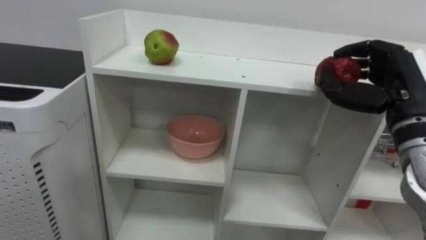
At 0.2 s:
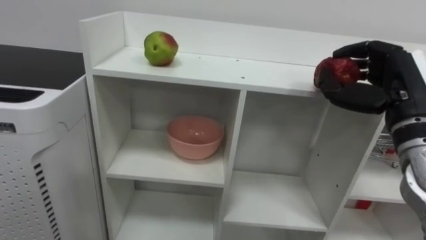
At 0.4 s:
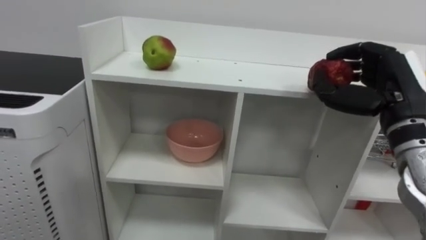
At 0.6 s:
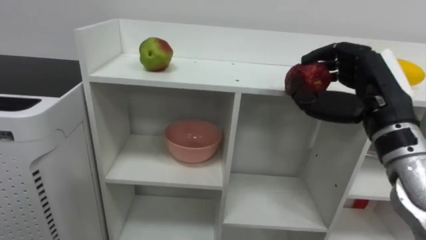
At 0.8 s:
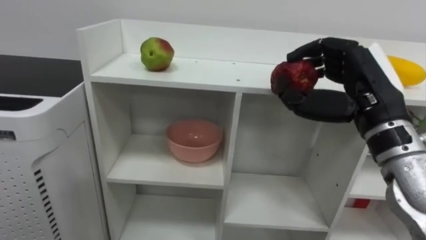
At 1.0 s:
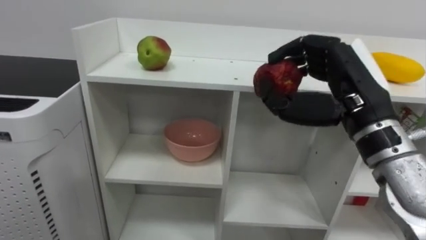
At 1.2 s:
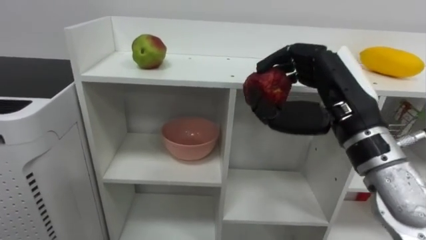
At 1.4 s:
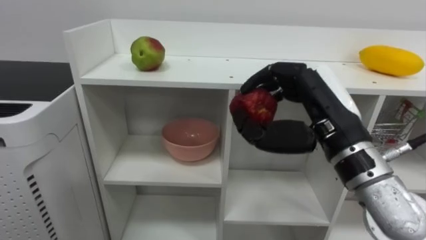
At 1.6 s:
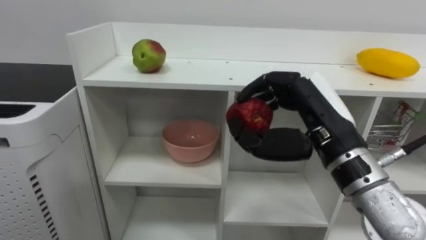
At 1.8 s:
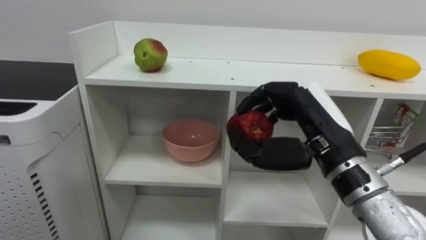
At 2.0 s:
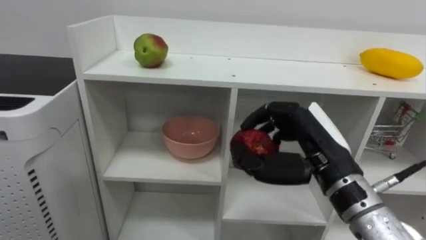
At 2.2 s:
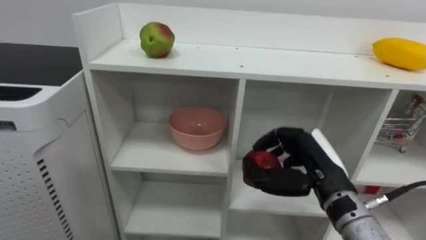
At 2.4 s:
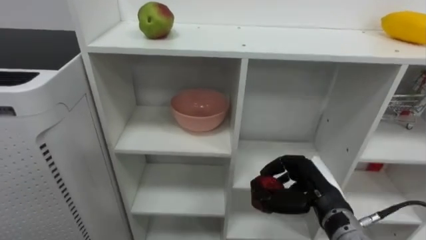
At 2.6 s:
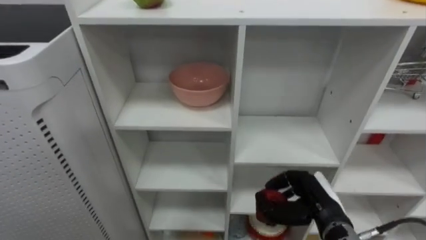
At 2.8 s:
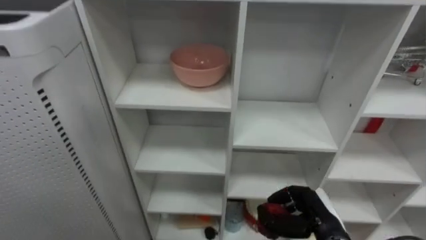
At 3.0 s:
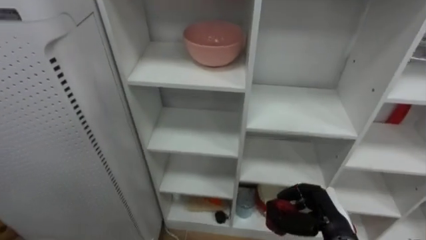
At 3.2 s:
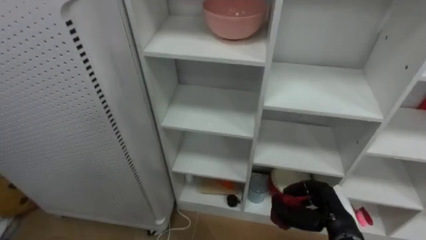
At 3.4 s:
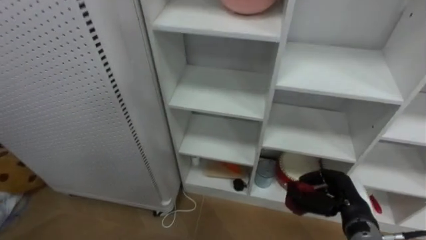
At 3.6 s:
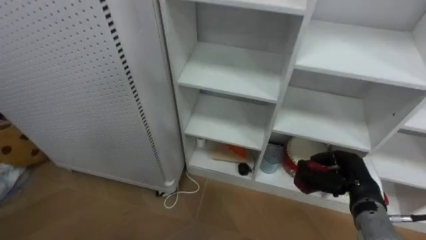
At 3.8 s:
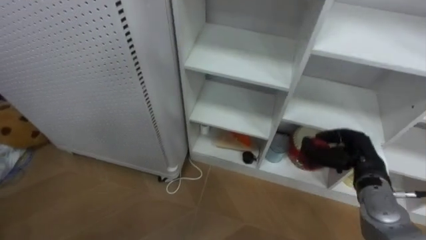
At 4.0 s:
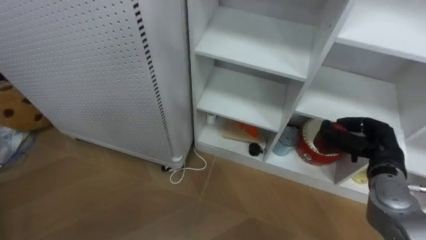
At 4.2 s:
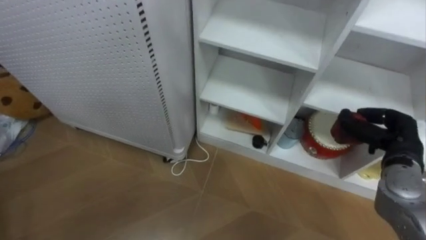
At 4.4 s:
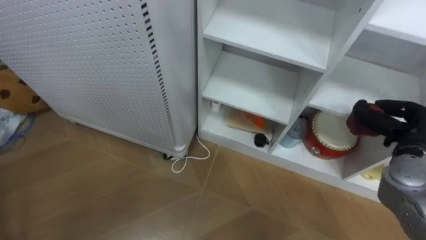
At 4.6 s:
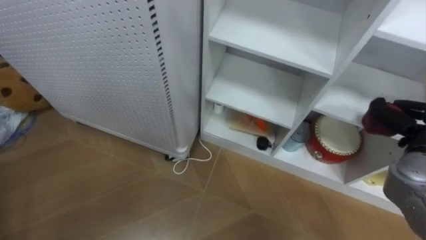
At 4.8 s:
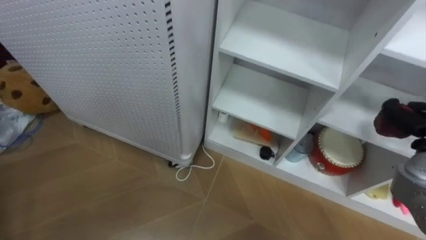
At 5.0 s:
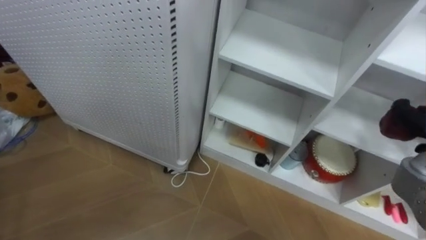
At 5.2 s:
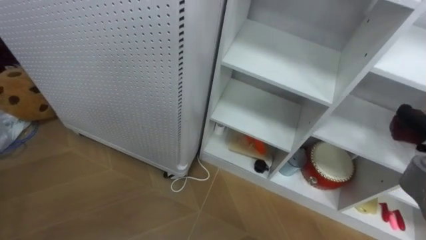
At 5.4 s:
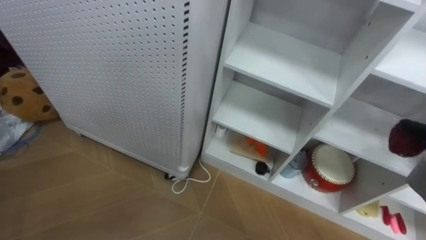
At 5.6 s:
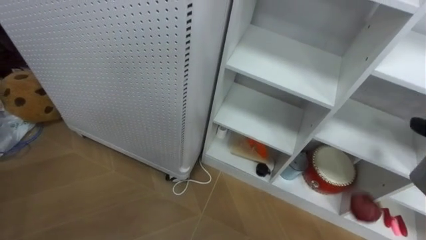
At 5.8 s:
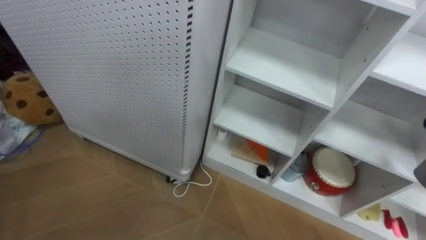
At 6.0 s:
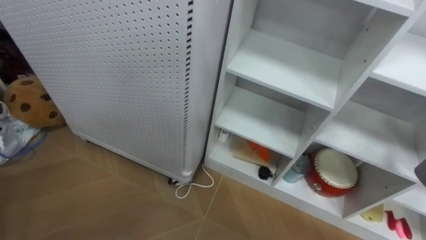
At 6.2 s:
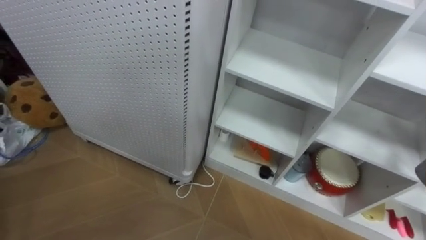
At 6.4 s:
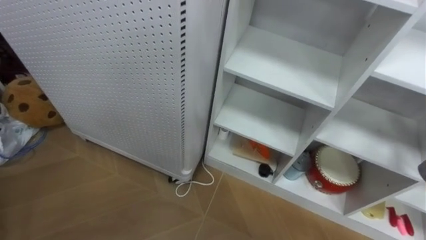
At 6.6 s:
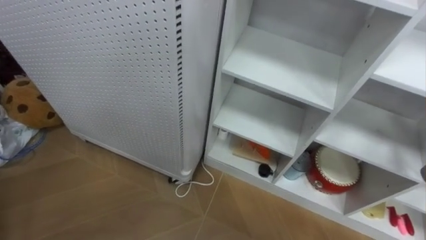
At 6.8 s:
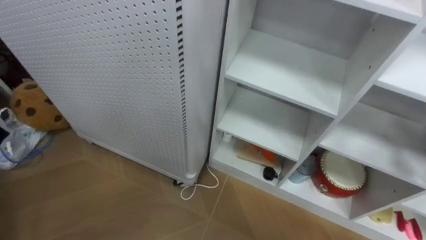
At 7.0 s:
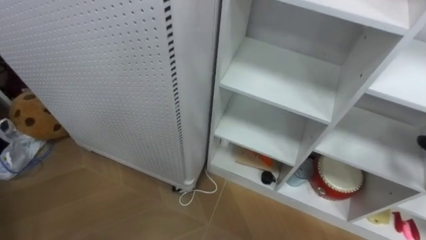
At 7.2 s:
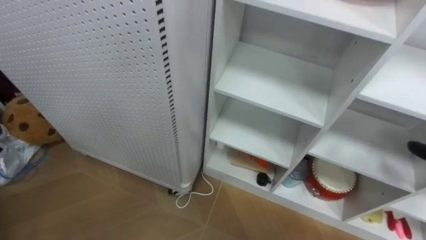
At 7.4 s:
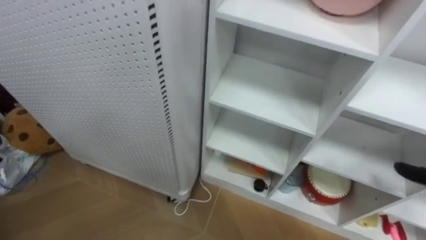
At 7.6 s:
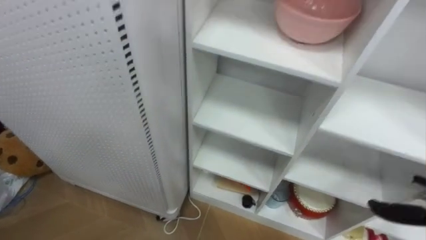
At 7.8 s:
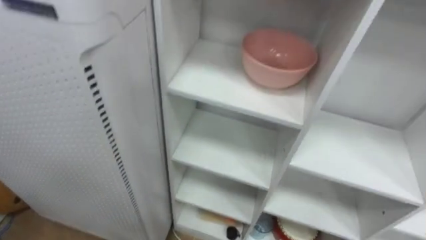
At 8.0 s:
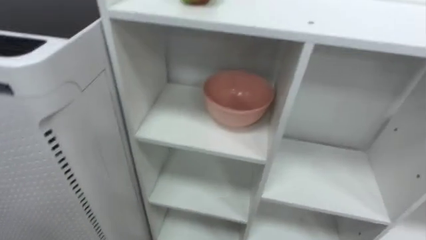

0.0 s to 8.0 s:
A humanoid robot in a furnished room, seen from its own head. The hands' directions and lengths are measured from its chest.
Task of the whole recording: Put the apple in the cell in the second column from the left and the second row from the top.
0.0 to 1.6 s: The right hand heads to the left, covering about 10 cm.
1.6 to 3.2 s: The right hand goes approximately 20 cm downward.

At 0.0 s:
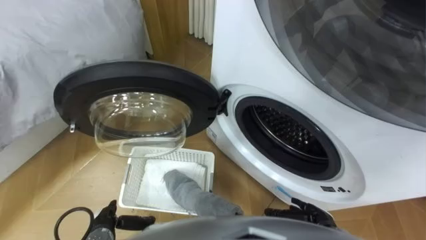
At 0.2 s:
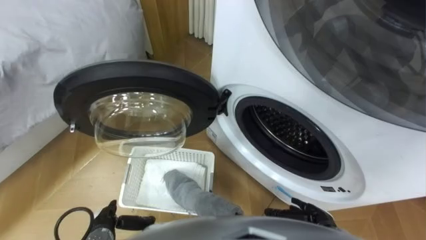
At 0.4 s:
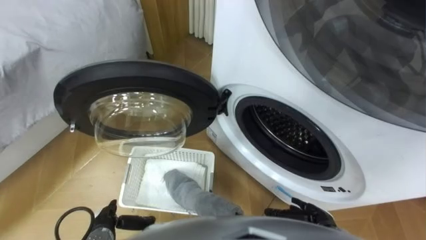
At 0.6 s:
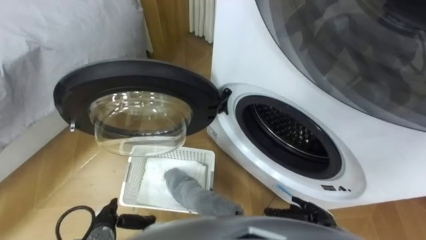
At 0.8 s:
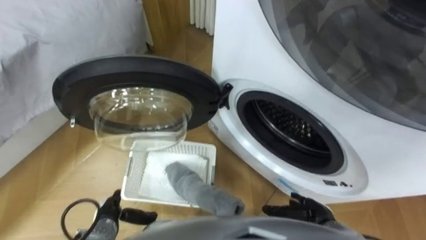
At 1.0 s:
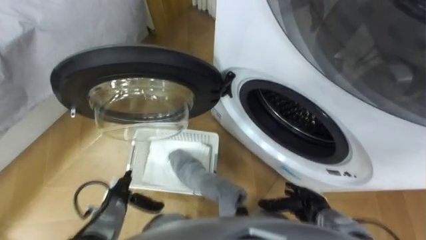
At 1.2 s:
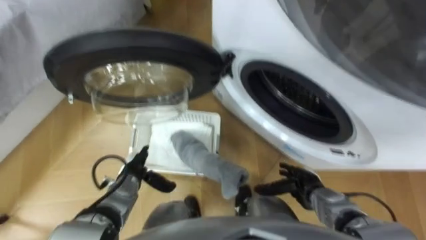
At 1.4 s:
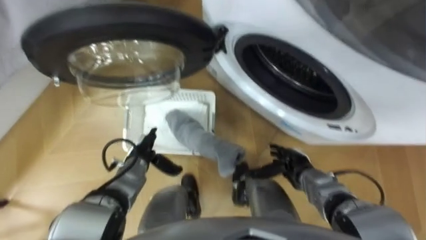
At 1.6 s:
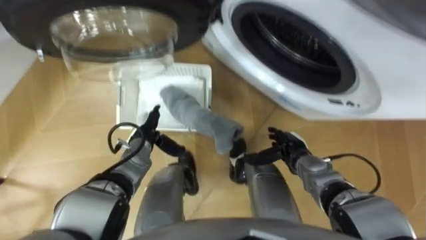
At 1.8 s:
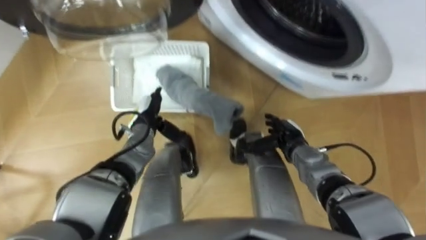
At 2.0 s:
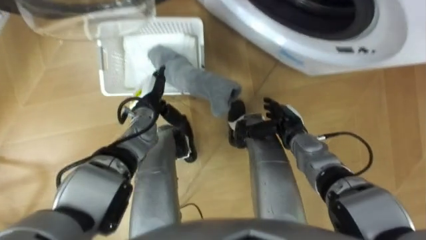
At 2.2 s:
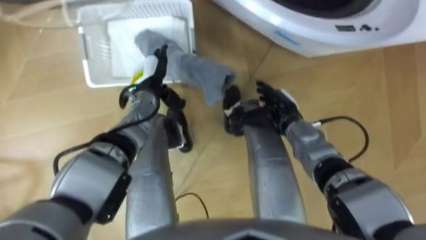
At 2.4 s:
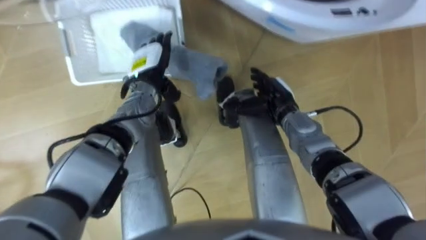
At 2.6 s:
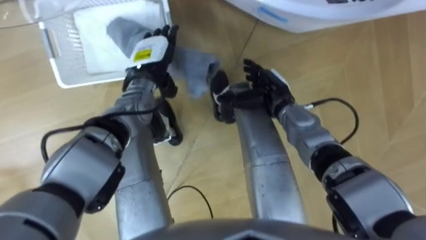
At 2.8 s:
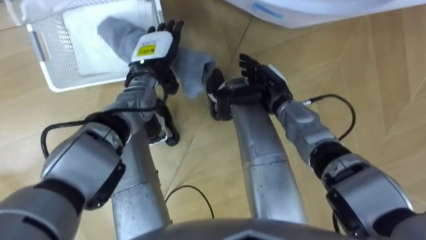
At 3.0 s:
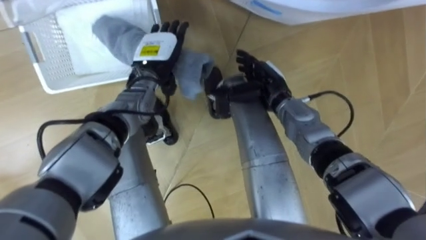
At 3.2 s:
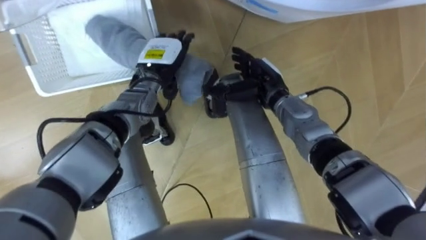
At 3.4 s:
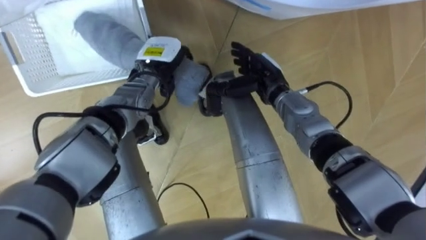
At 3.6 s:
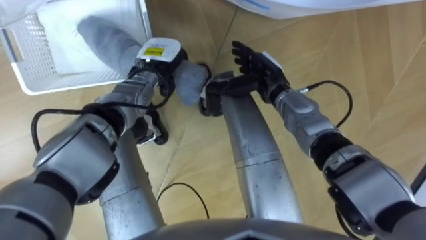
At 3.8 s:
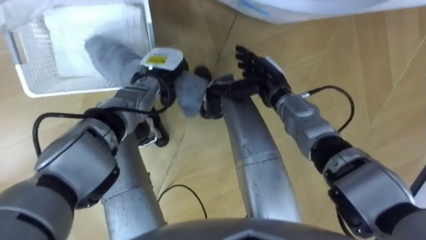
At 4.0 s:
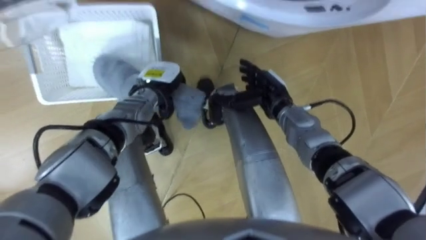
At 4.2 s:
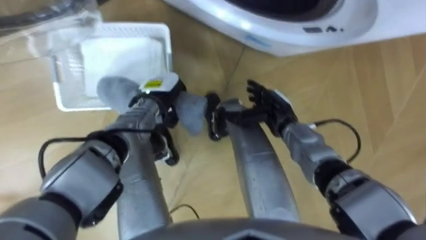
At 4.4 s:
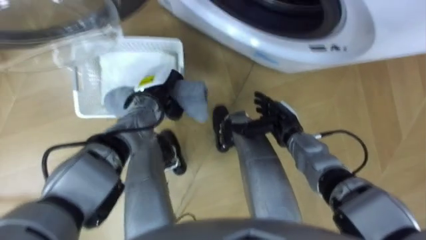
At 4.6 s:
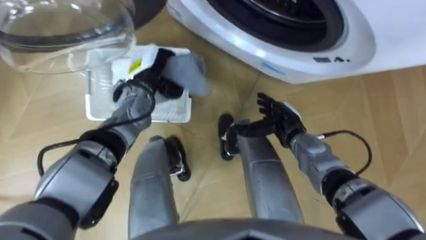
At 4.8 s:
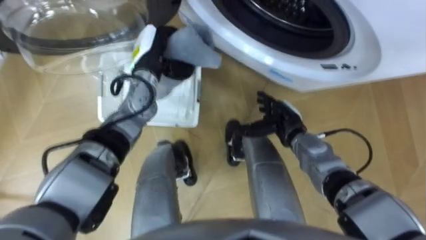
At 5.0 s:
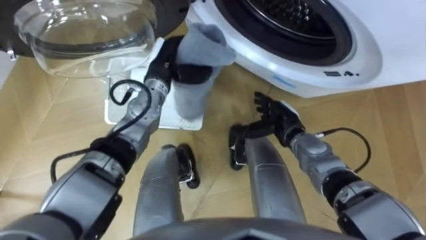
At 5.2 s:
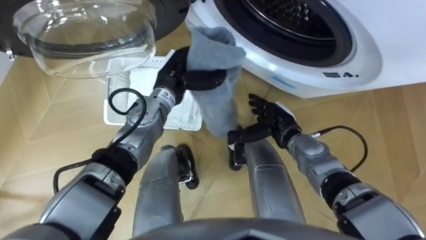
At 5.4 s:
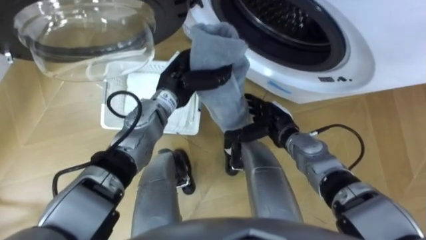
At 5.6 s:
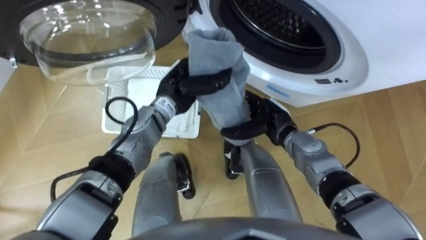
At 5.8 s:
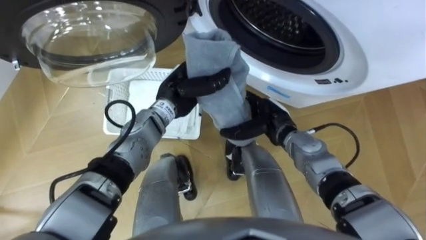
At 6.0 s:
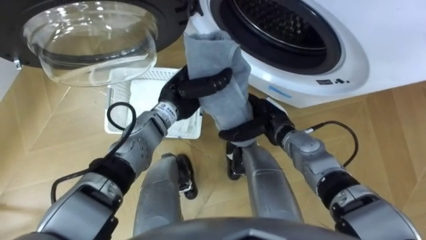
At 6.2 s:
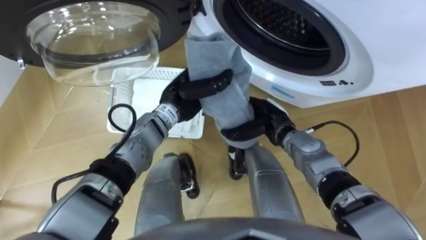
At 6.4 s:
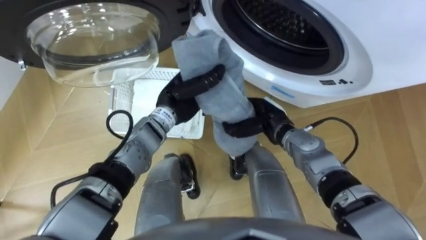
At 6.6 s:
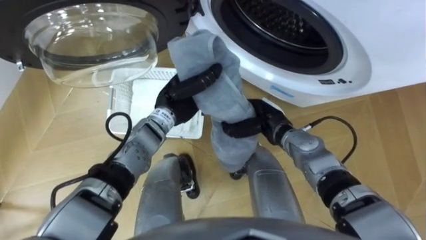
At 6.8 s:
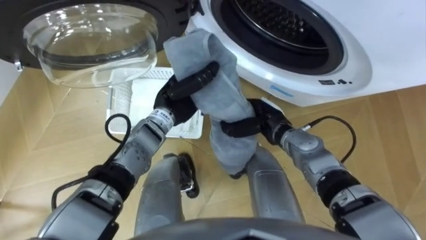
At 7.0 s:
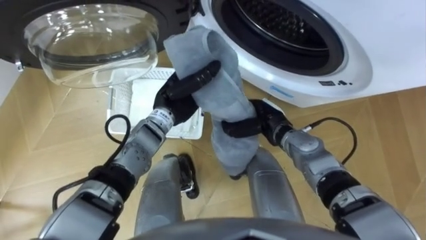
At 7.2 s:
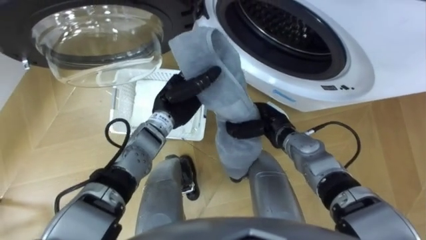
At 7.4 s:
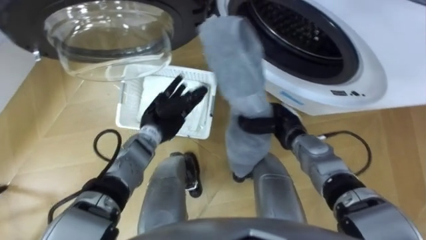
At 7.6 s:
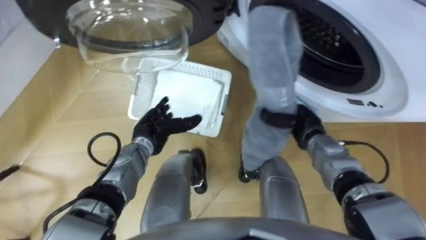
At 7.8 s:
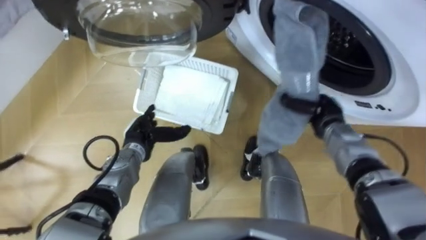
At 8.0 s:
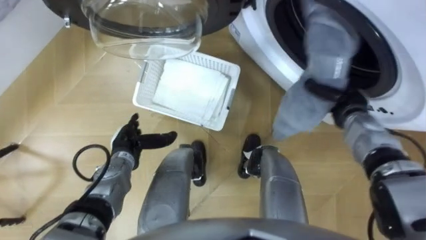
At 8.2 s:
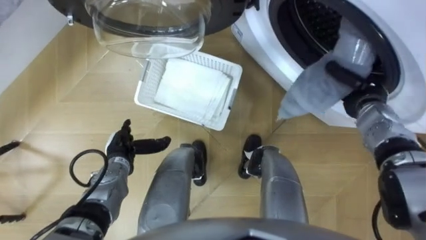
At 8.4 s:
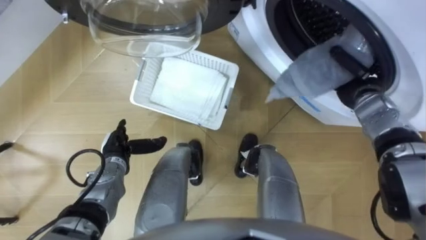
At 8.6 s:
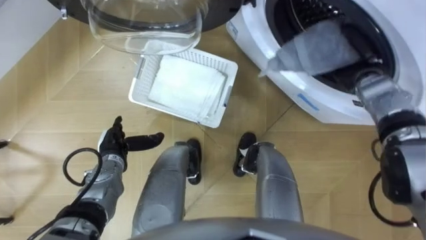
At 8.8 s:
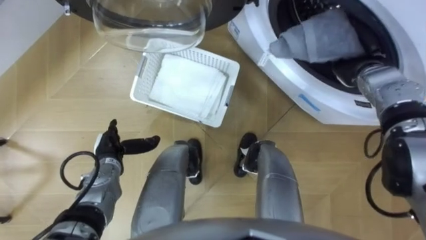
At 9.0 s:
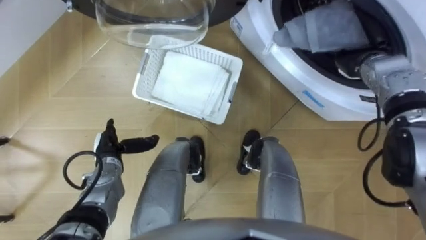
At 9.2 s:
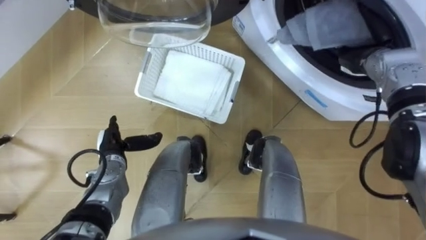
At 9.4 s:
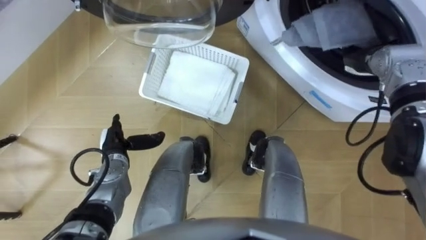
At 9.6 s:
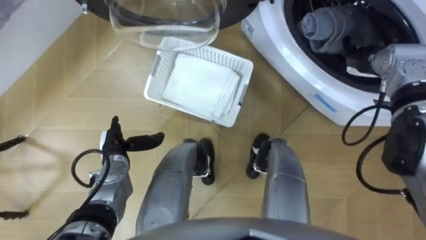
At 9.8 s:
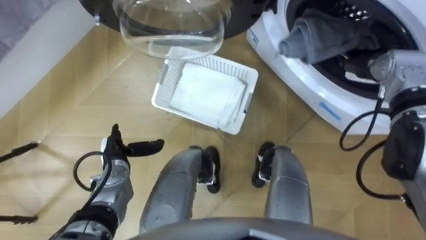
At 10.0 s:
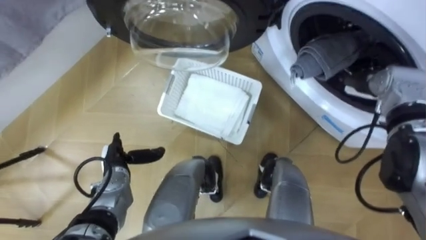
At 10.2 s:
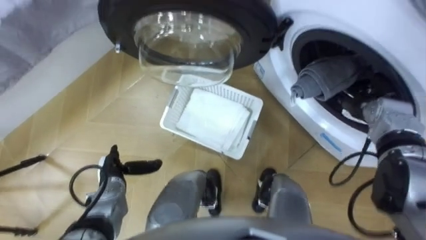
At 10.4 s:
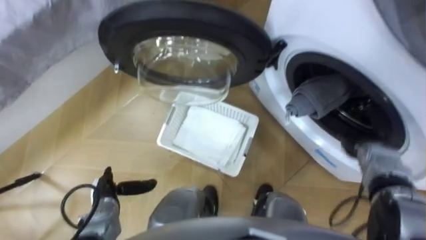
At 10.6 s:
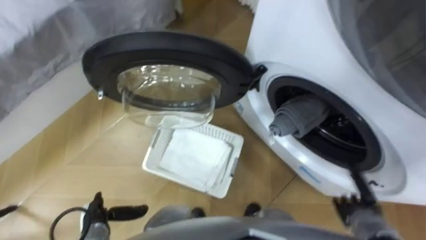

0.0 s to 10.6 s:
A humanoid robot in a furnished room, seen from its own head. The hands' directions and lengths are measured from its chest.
Task of the whole recording: Take the towel from the basket and put it into the washing machine.
1.6 to 3.0 s: The left hand heads upward and forward, covering some 15 cm; the right hand is displaced forward, upward and to the left by about 15 cm.
3.0 to 4.6 s: The left hand closes up; the right hand goes about 10 cm downward and backward.
4.6 to 6.0 s: The left hand shifts about 10 cm to the right and backward.
6.0 to 7.6 s: The right hand shifts approximately 10 cm to the right, and closes, while the left hand goes approximately 15 cm downward, to the left and backward, and opens its fingers.
7.6 to 9.0 s: The right hand goes some 20 cm upward, forward and to the right; the left hand is displaced to the left by about 10 cm.
9.0 to 10.6 s: The left hand is displaced backward by some 15 cm, while the right hand shifts approximately 35 cm backward and downward, and opens its fingers.